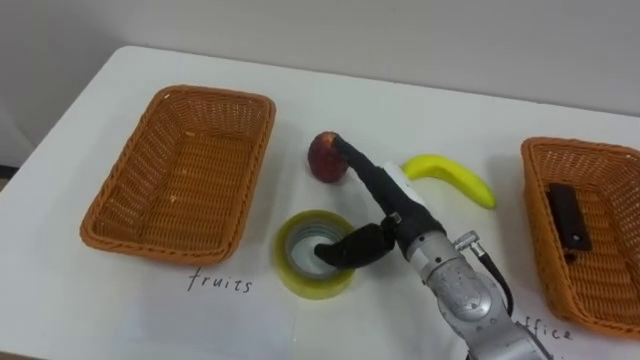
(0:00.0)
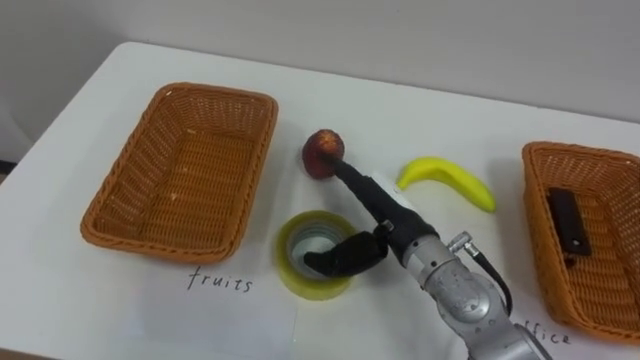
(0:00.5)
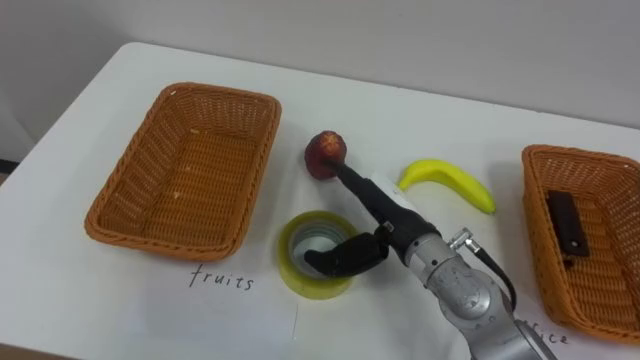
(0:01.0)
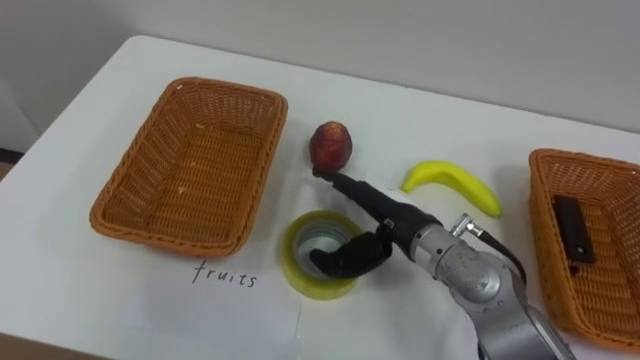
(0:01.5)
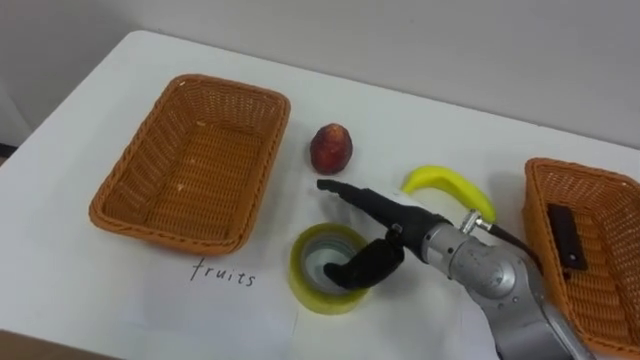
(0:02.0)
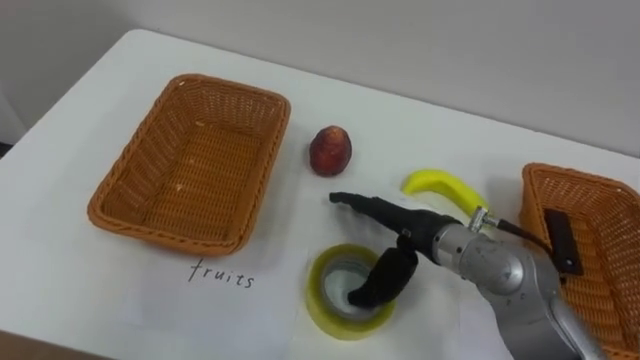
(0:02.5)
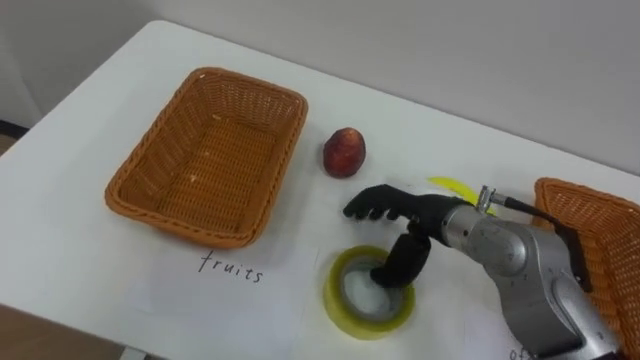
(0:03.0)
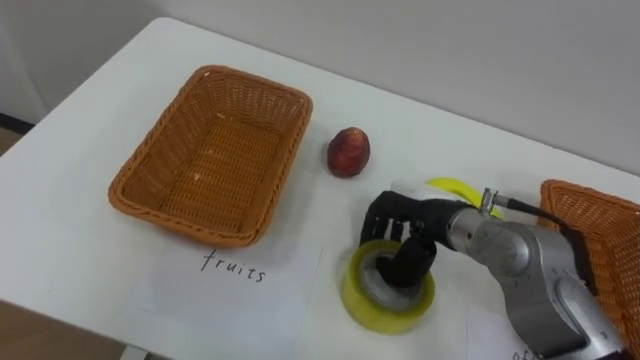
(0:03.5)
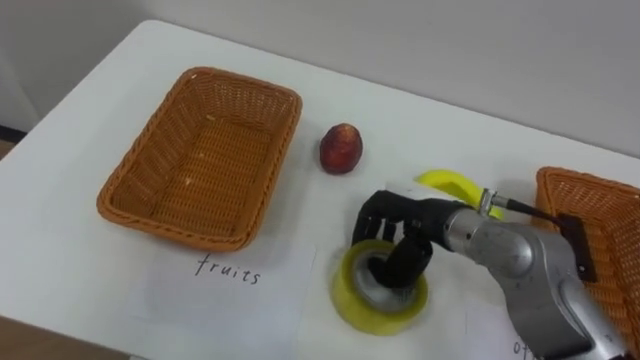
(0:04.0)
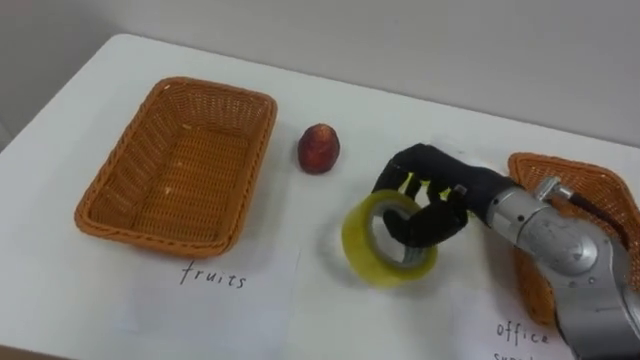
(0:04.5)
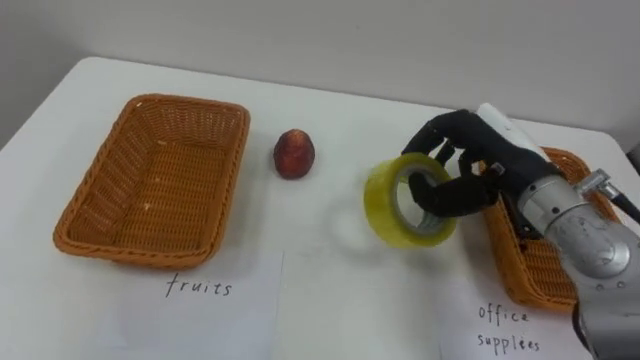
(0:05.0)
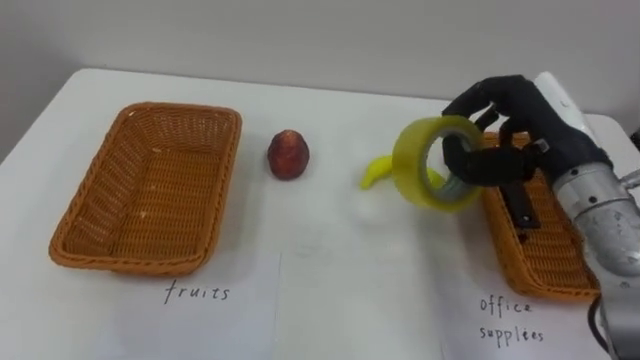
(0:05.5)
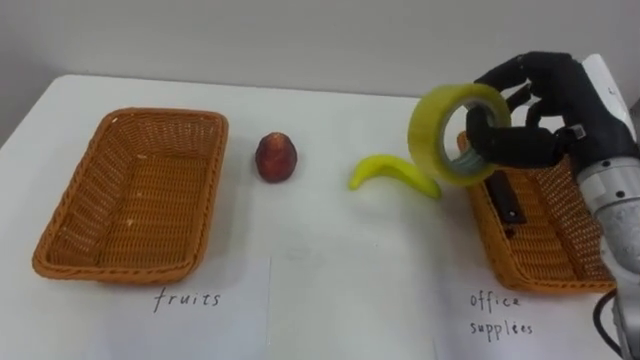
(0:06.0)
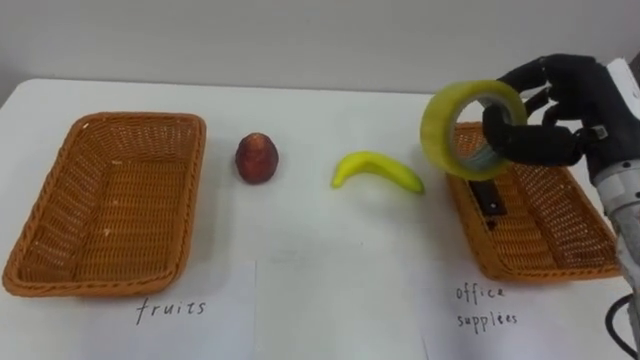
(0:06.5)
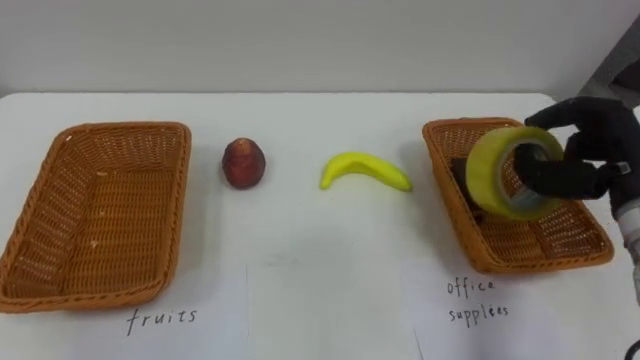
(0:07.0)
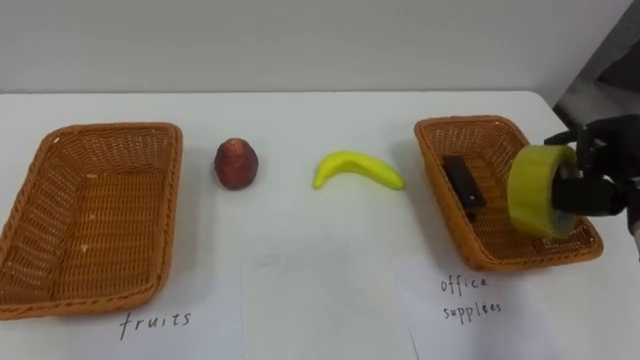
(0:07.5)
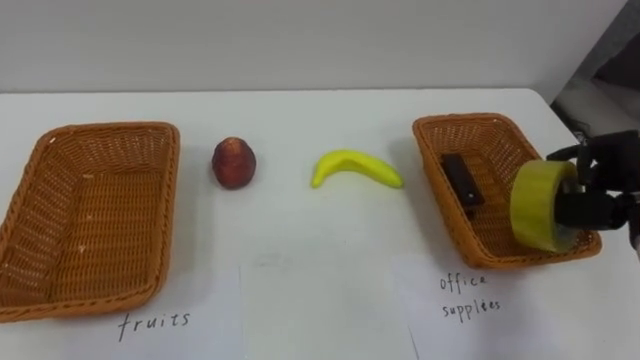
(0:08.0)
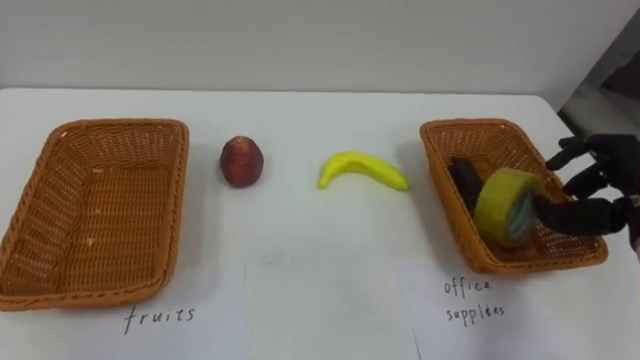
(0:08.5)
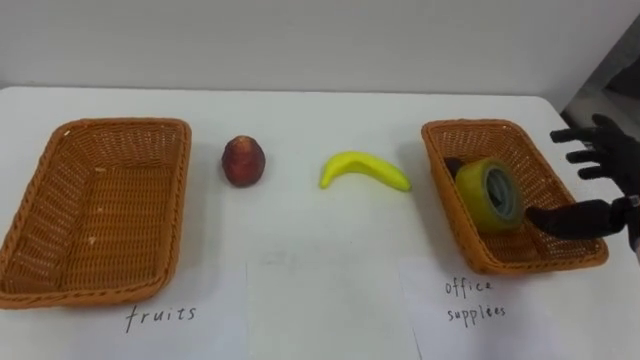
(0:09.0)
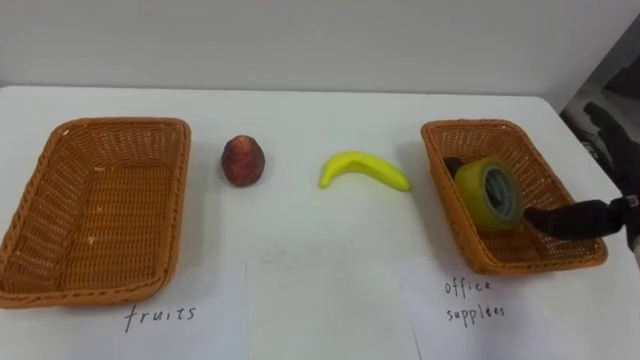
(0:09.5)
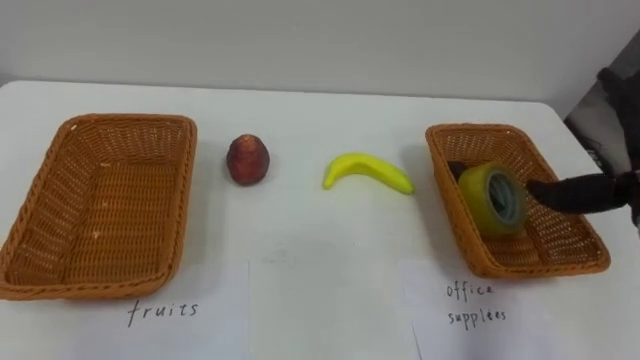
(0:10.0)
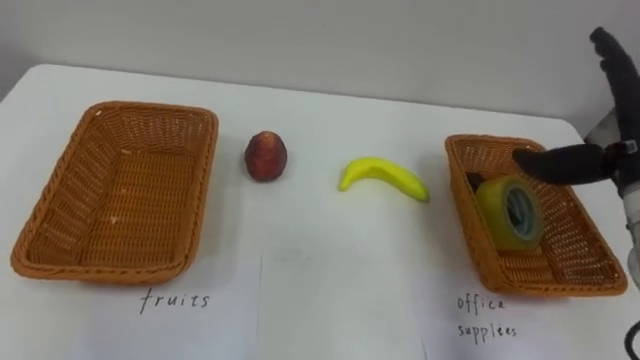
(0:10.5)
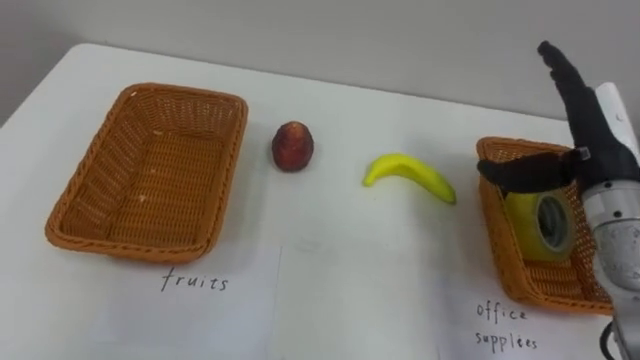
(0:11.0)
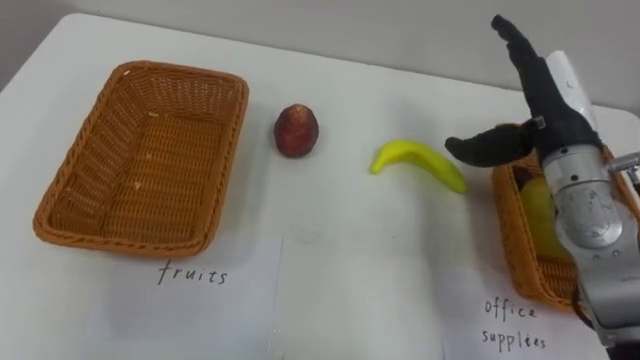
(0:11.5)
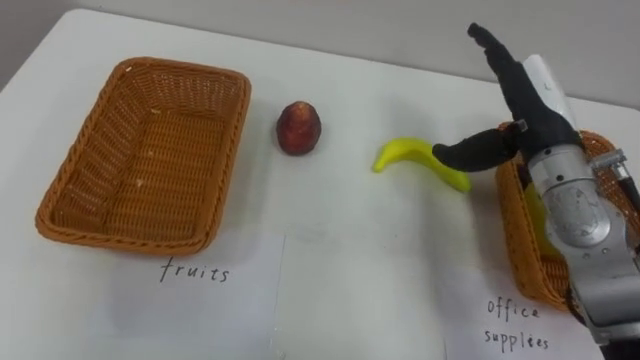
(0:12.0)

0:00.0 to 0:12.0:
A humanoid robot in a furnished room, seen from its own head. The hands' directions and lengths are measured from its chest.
Task of the whole recording: Separate the items on the table and place them into the two baskets.
0:02.0 to 0:04.0: The right hand closes.
0:04.0 to 0:06.0: The right hand heads to the right and upward, covering about 20 cm.
0:06.0 to 0:08.0: The right hand heads to the right and downward, covering roughly 10 cm.

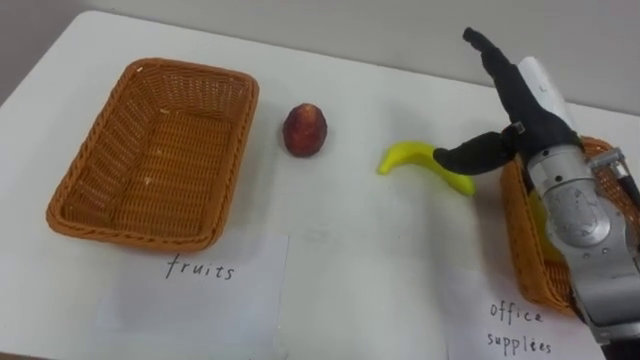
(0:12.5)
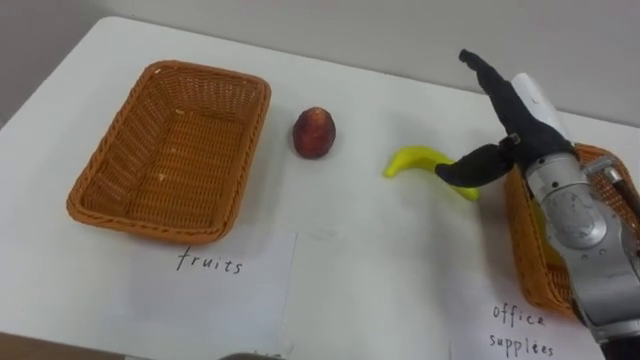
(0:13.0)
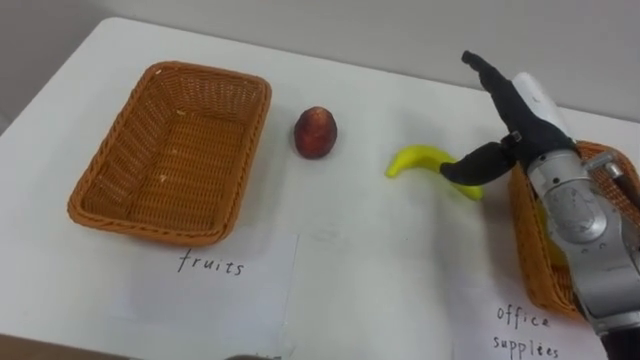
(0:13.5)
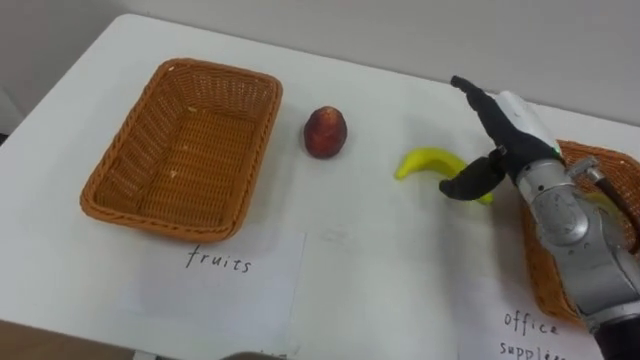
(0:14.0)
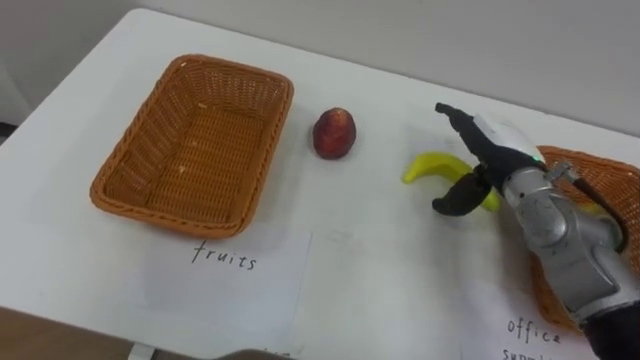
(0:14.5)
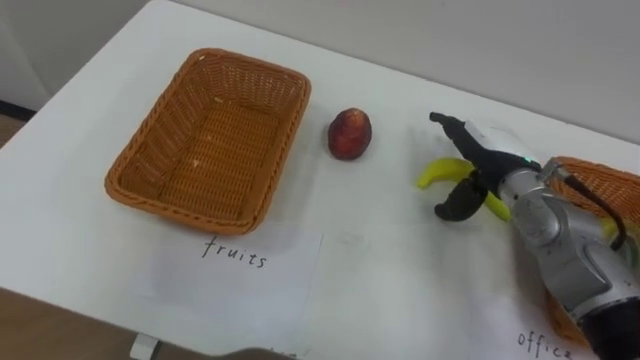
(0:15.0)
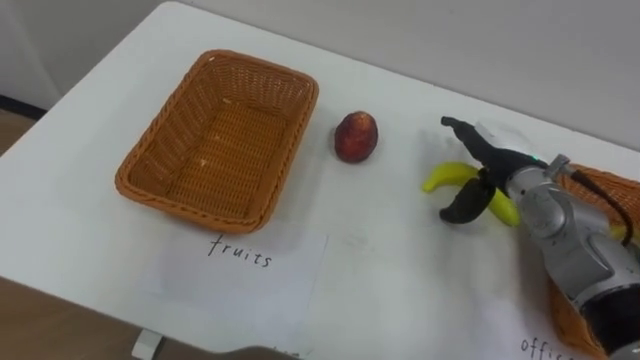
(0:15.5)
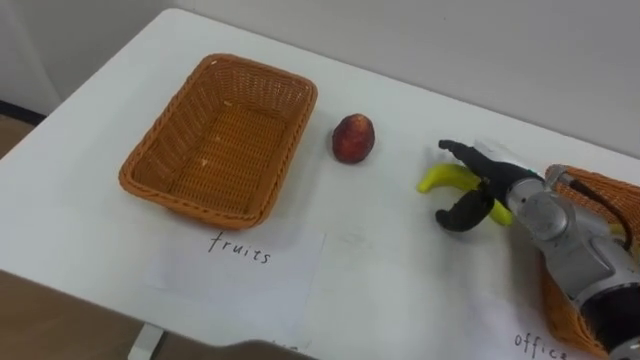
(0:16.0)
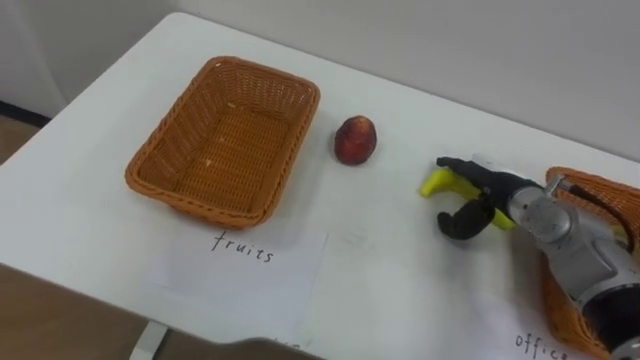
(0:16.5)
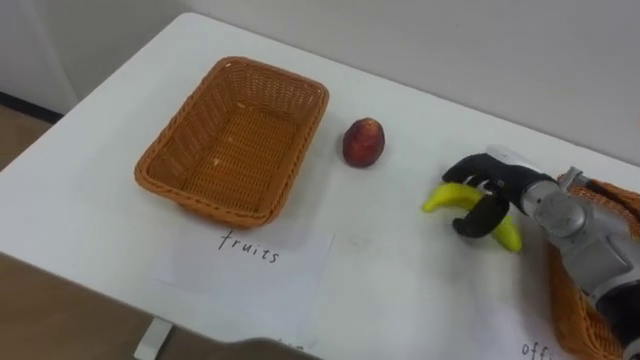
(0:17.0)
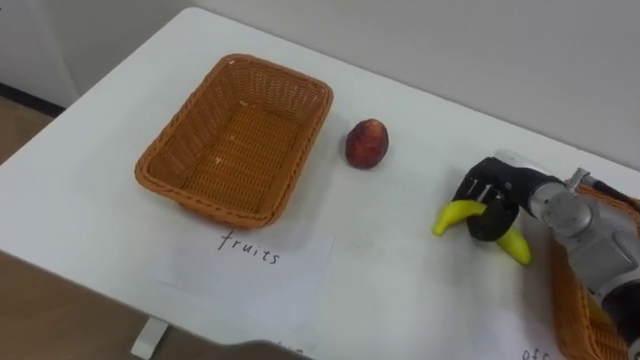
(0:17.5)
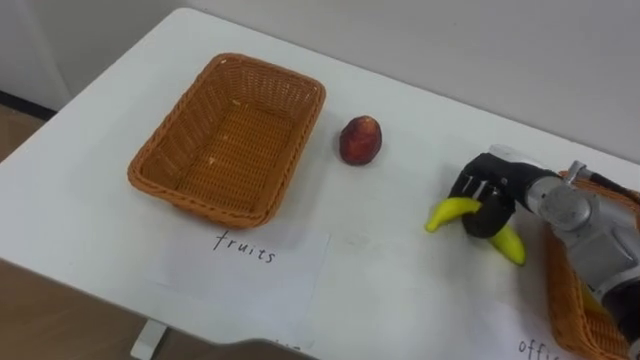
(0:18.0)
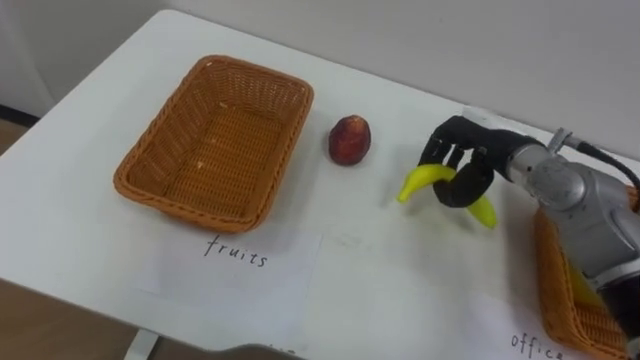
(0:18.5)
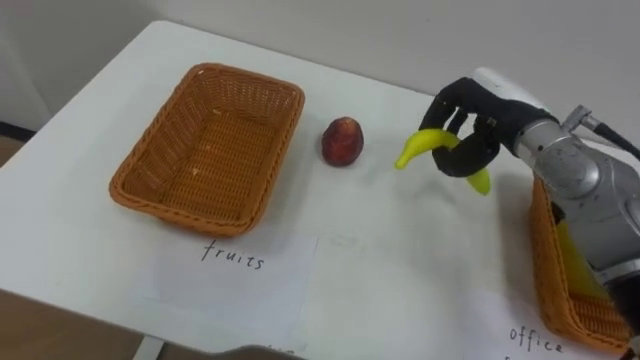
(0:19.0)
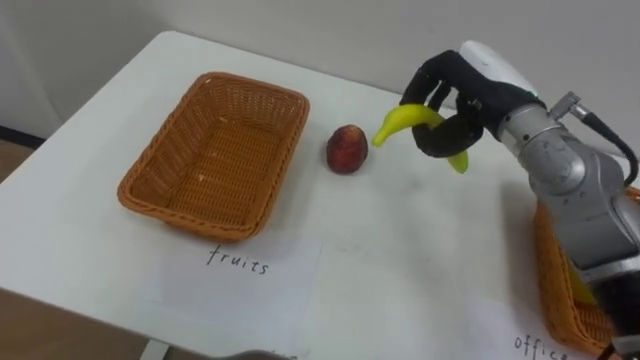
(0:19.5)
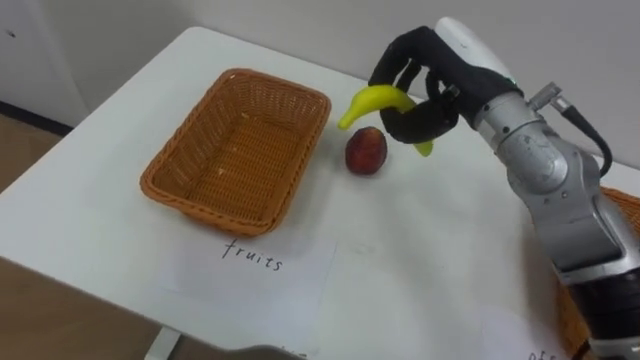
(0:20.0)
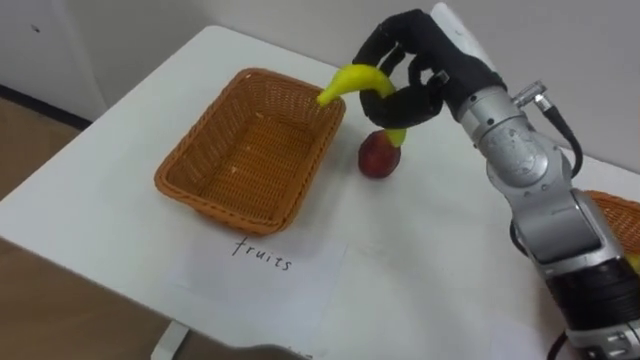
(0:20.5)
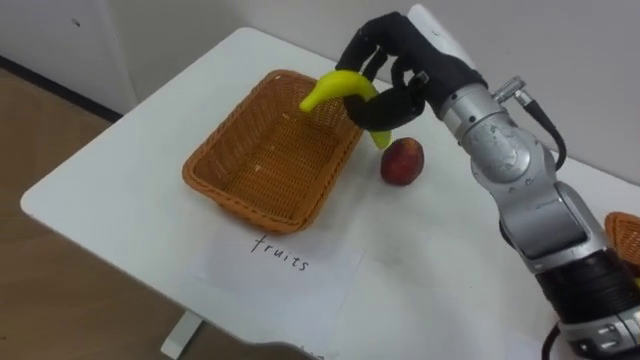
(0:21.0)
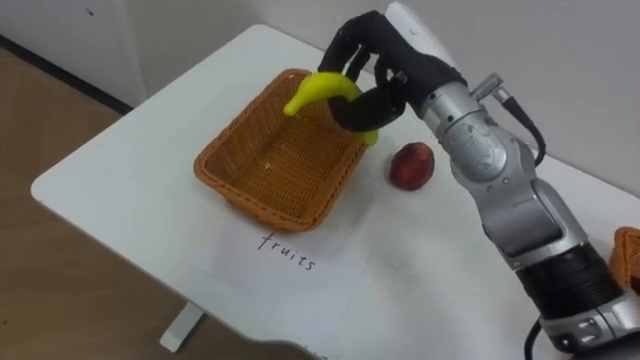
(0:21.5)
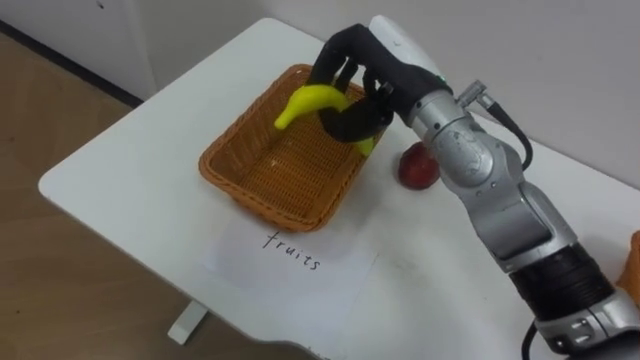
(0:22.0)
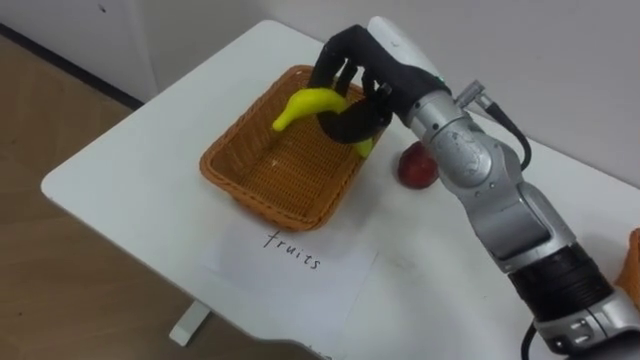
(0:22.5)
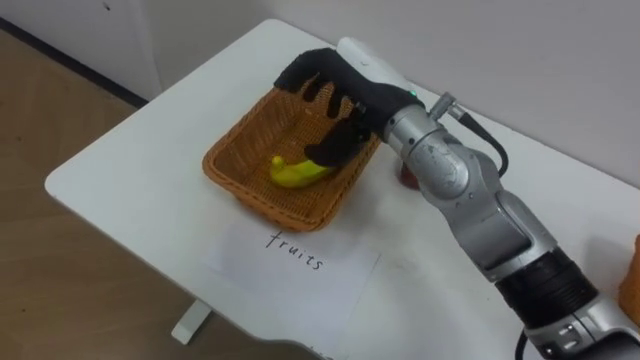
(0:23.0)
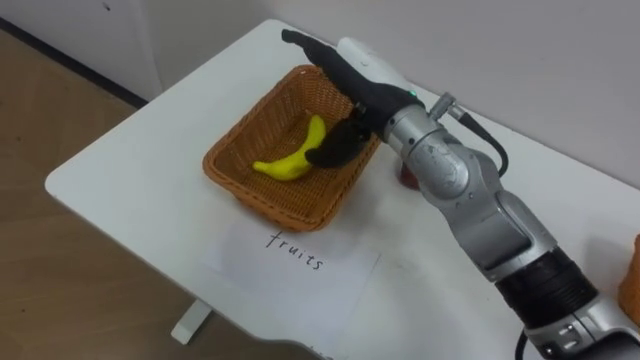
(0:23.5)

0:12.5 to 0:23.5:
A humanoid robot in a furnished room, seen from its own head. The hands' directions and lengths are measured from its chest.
Task of the whole recording: Separate the items on the table and place them into the two baskets.
0:12.5 to 0:14.5: The right hand heads downward, covering about 10 cm.
0:16.0 to 0:18.0: The right hand closes up.
0:18.0 to 0:20.0: The right hand travels upward and to the left by about 20 cm.
0:20.0 to 0:21.5: The right hand heads to the left, covering roughly 5 cm.
0:21.5 to 0:23.5: The right hand changes place by some 5 cm, and opens its fingers.
